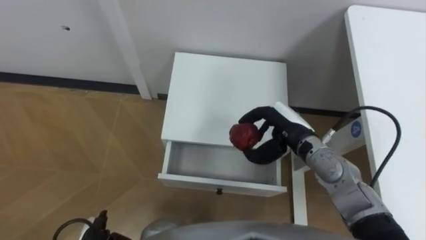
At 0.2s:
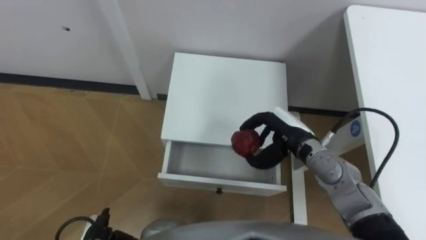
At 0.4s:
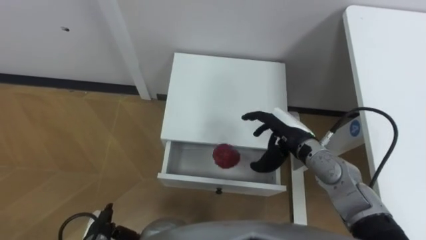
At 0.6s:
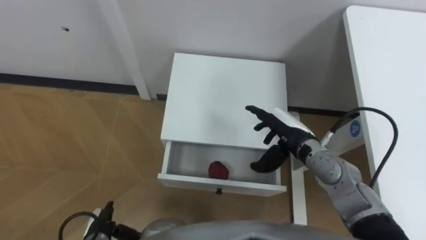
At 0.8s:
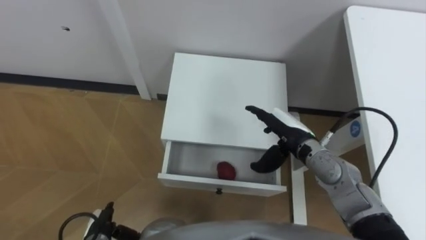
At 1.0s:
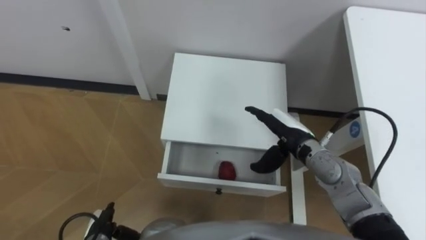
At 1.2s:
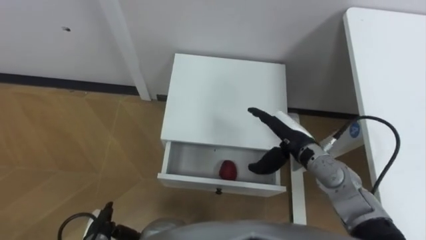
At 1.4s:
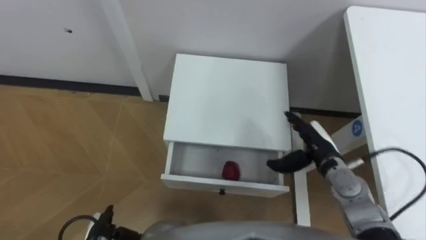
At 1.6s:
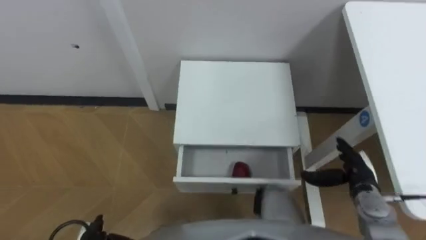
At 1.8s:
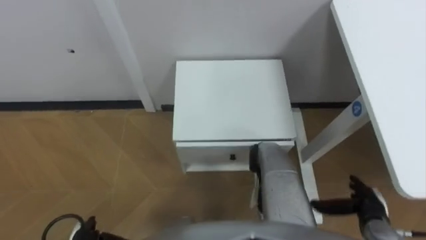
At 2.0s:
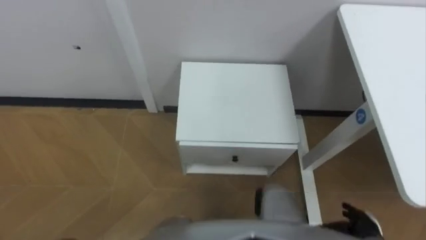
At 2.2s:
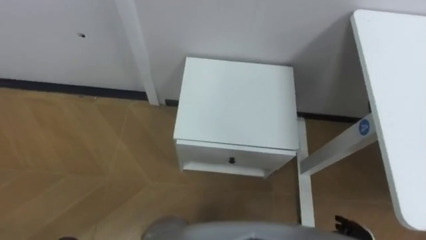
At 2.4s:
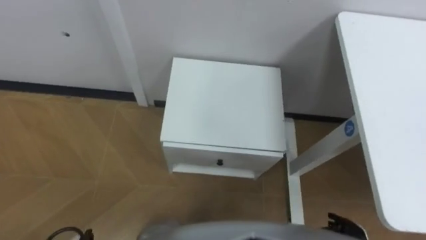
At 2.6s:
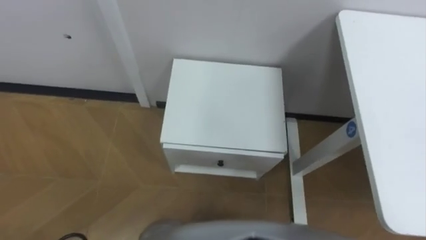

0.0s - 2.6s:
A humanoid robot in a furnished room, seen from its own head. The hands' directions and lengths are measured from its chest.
Task of the whole recording: Pick up the apple from the table, put it in the drawer, and close the drawer with leg.
0.0s - 1.2s: The right hand opens.

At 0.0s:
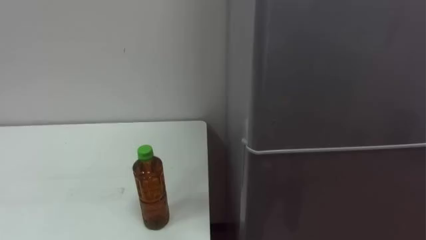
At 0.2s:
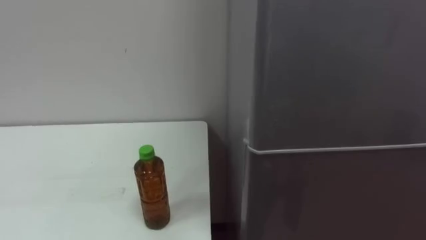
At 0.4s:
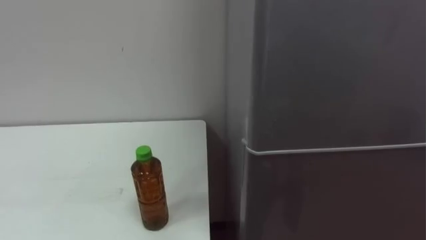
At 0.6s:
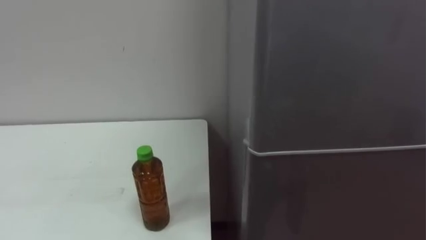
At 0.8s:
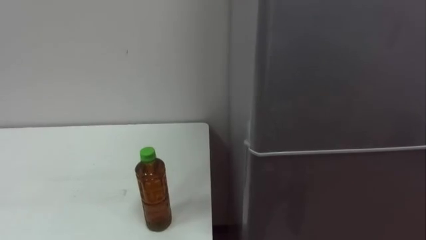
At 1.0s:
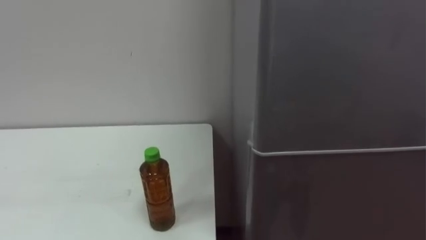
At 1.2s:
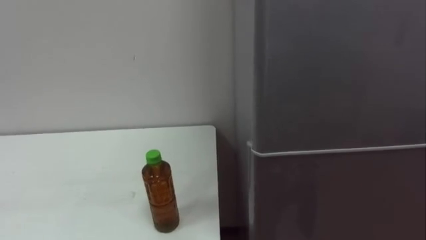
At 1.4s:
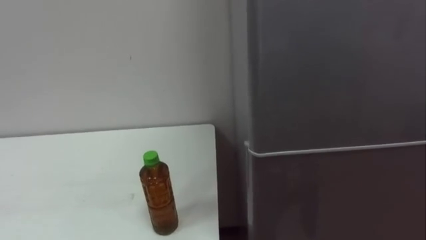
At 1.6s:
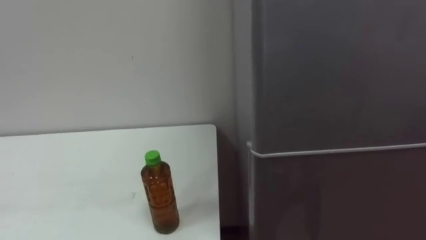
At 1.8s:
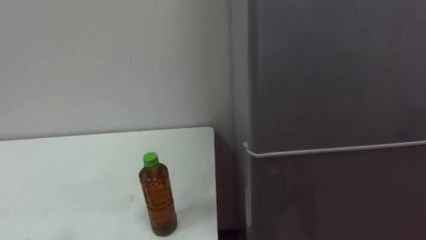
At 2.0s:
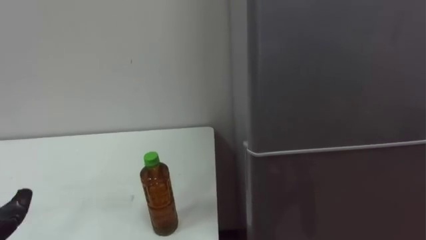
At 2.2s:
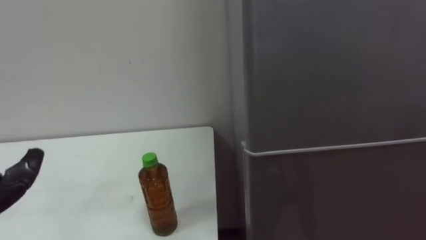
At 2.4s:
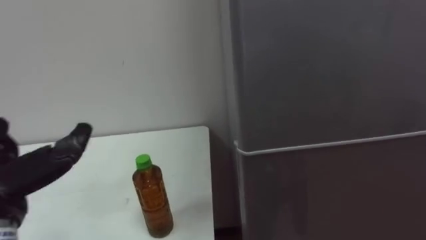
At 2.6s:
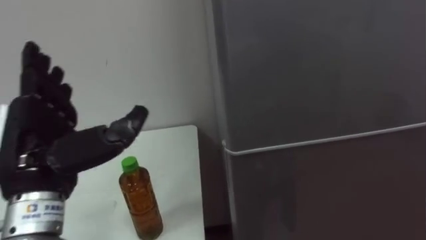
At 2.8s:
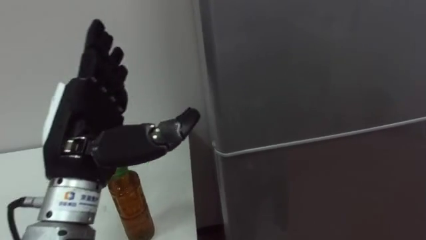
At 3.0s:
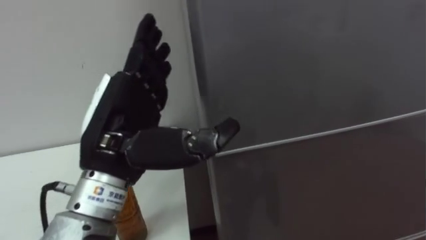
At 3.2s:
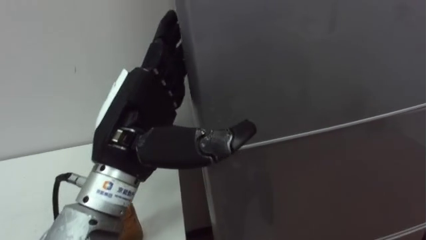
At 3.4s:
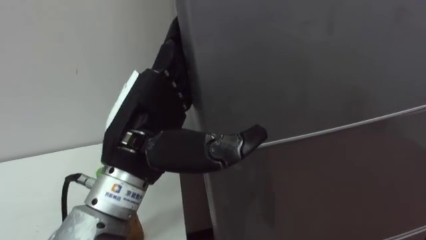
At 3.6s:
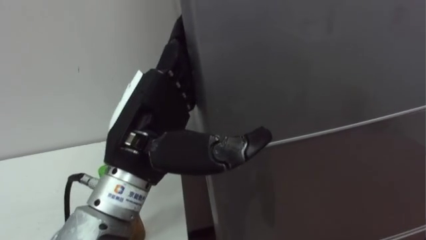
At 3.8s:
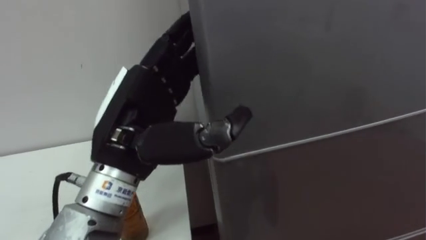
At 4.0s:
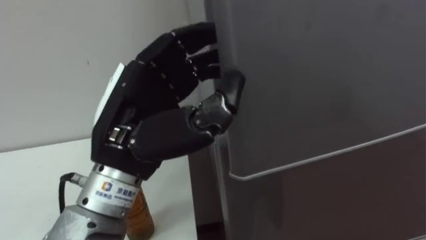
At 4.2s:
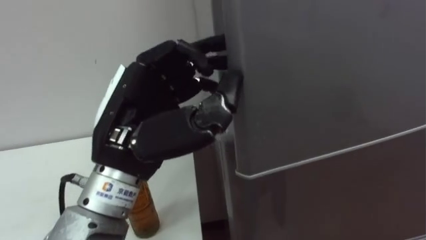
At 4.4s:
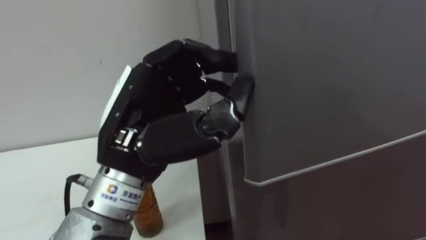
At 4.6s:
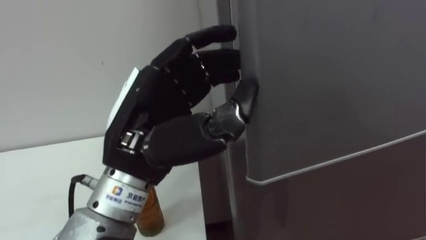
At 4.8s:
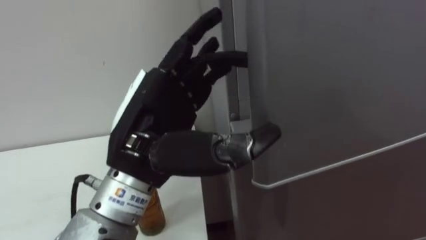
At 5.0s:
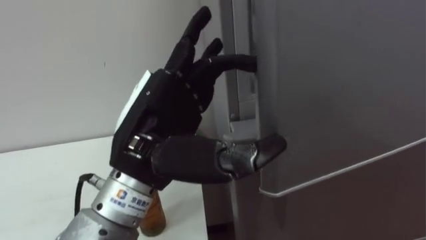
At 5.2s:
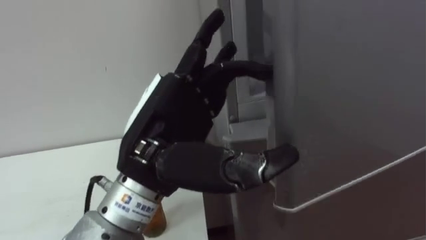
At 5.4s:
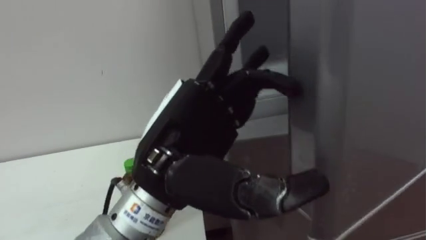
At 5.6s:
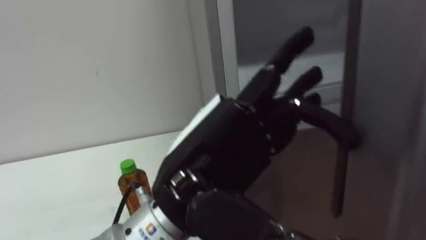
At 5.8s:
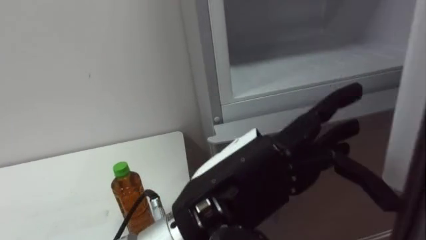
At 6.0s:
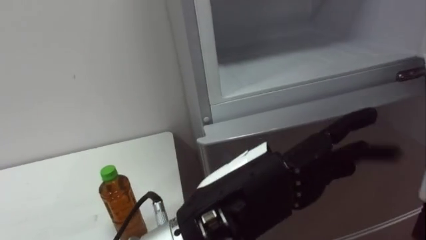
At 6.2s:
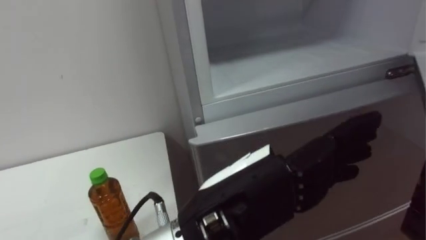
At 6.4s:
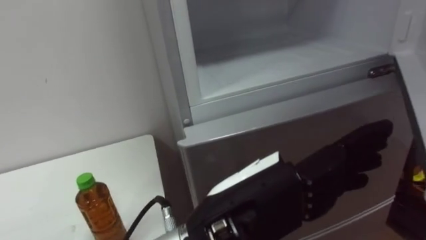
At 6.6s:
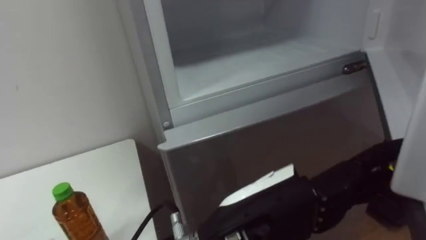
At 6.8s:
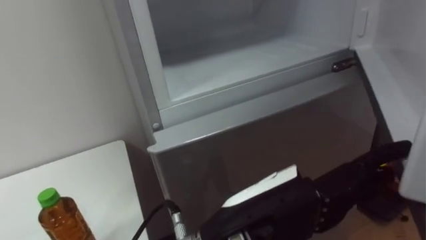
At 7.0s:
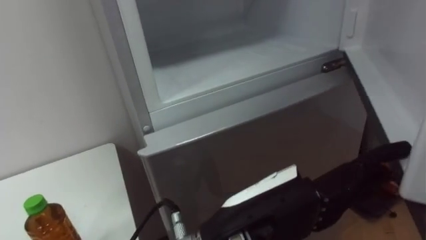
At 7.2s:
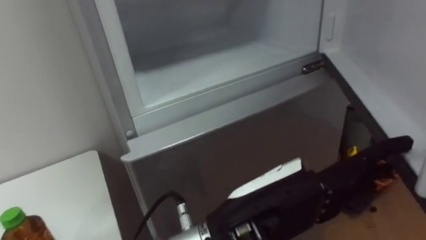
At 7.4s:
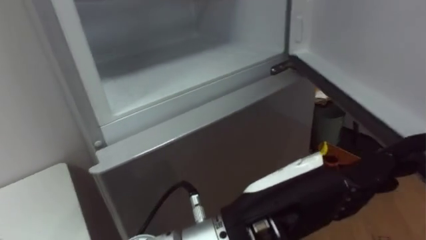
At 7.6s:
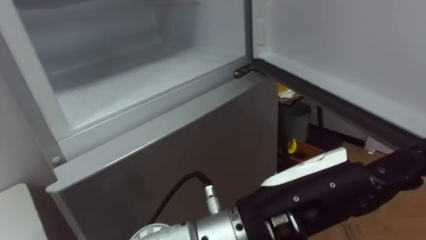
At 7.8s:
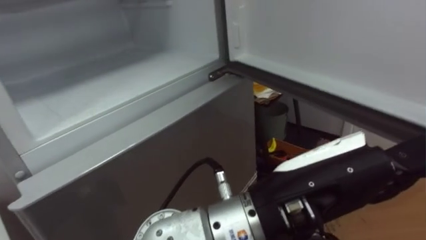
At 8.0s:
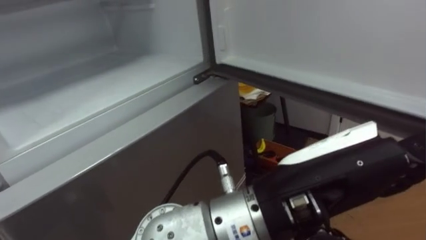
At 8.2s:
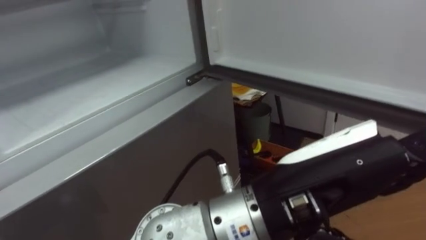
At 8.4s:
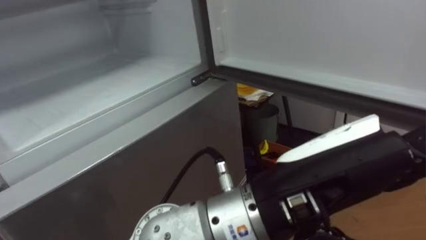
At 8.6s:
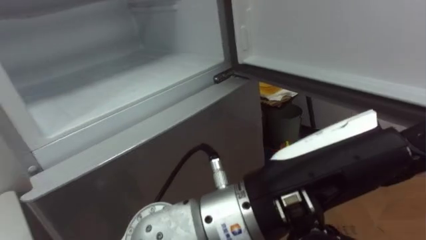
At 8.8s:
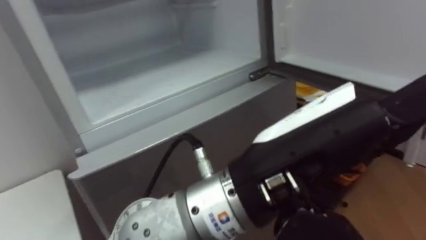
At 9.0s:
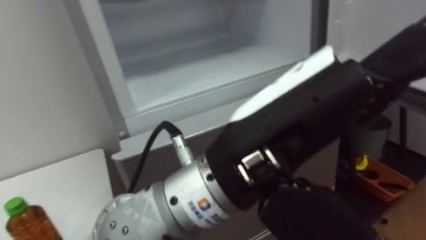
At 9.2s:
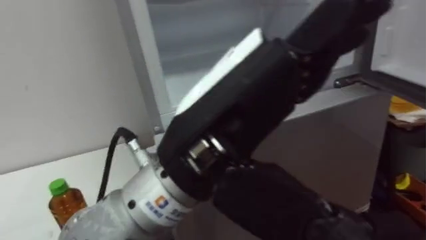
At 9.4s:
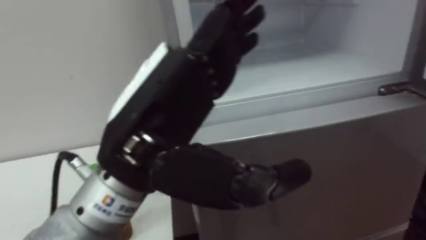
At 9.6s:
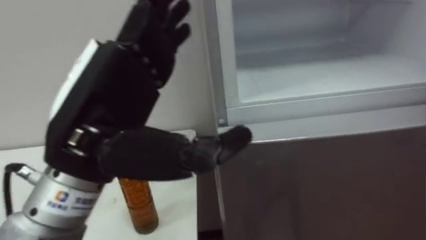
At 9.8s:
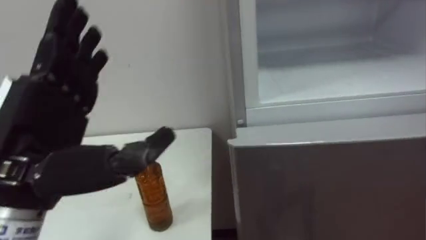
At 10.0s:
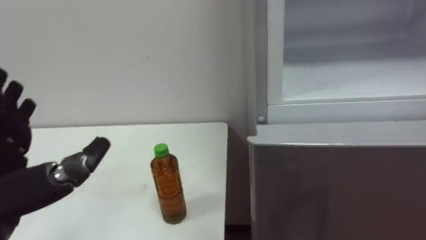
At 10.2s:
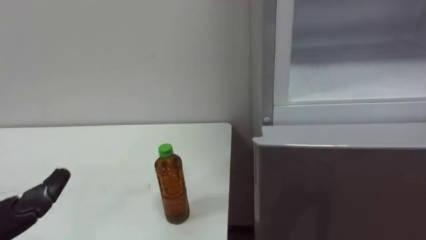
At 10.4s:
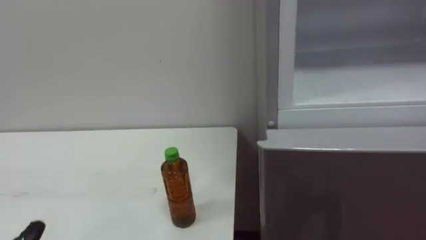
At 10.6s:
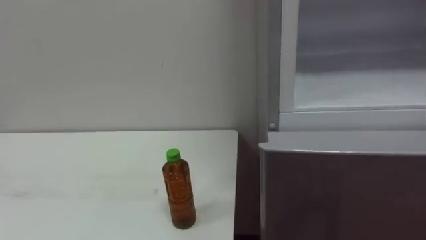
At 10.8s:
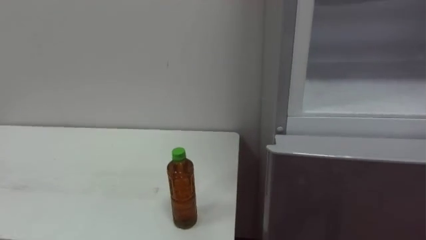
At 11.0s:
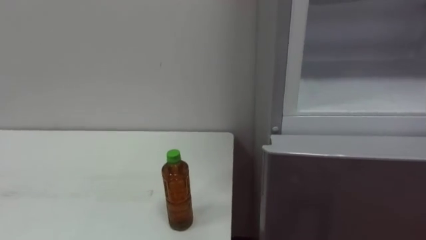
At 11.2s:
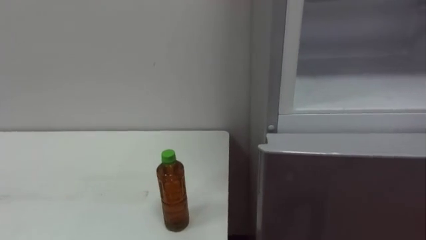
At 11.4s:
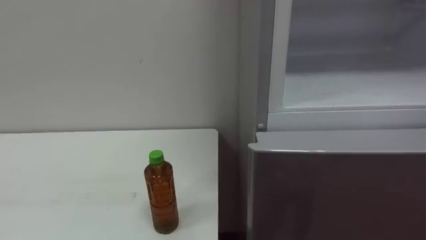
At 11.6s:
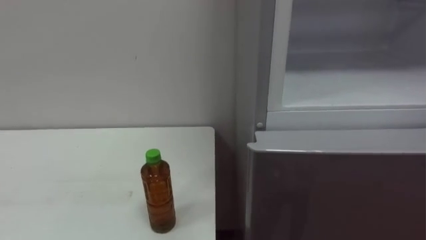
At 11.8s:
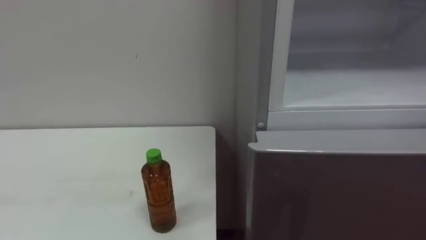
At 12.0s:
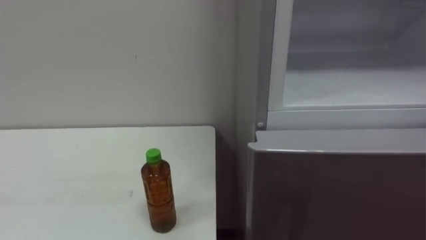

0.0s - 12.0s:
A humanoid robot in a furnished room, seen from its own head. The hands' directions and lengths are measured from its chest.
Task of the whole recording: Open the upper refrigerator door, put the drink from the table into the refrigerator, and then close the refrigerator door.
3.0s - 4.4s: The left hand closes its fingers.
4.4s - 6.0s: The left hand moves to the right and backward, roughly 10 cm, and opens.
6.0s - 7.6s: The left hand is displaced to the right by roughly 5 cm.
7.6s - 9.0s: The left hand travels upward by about 10 cm.

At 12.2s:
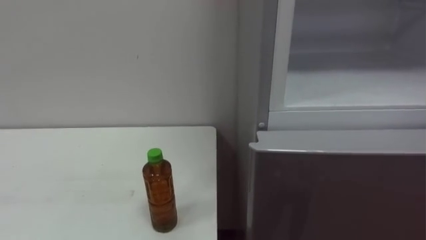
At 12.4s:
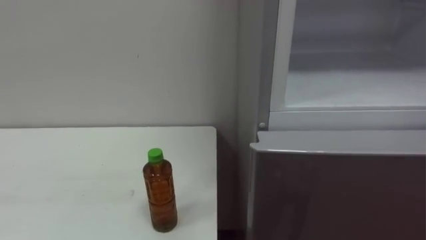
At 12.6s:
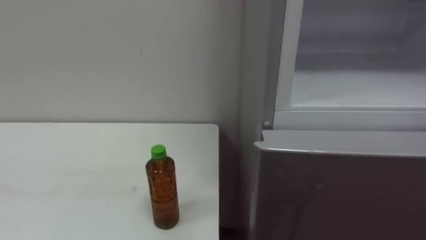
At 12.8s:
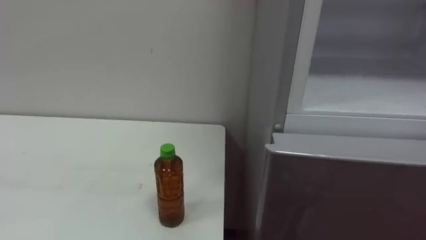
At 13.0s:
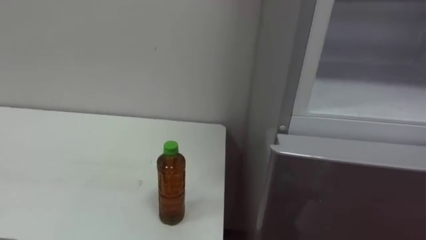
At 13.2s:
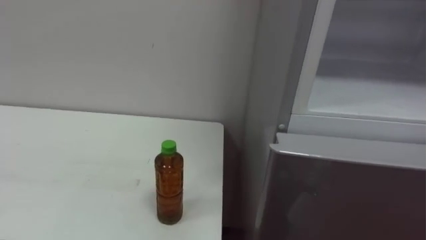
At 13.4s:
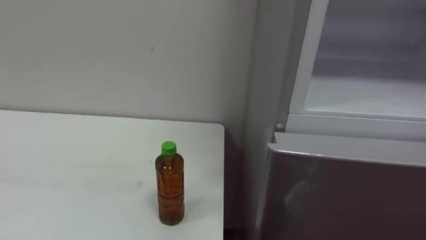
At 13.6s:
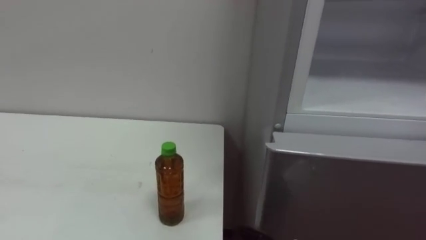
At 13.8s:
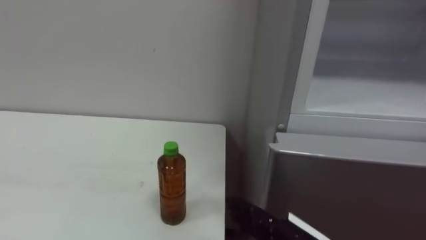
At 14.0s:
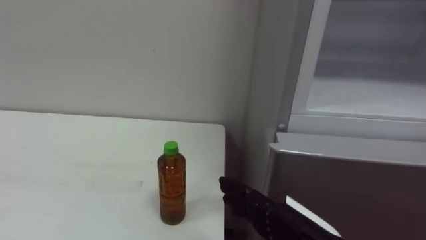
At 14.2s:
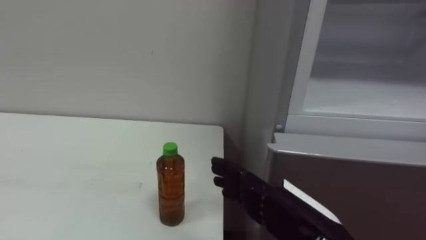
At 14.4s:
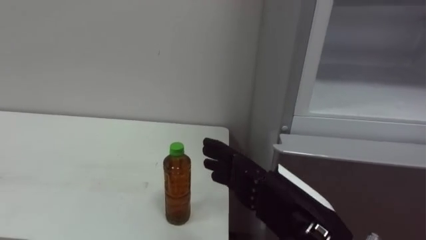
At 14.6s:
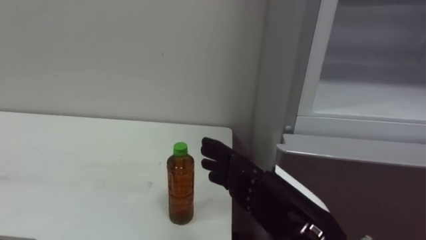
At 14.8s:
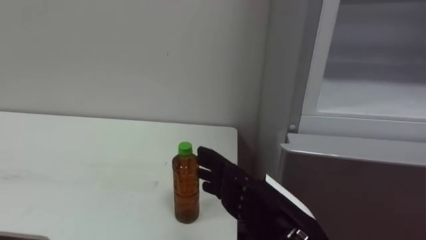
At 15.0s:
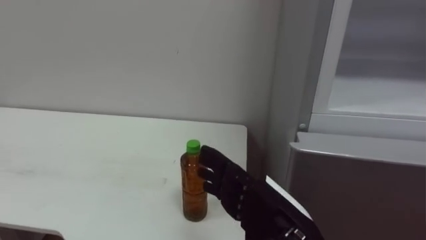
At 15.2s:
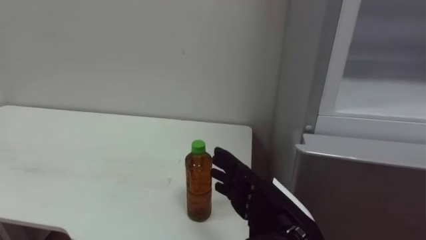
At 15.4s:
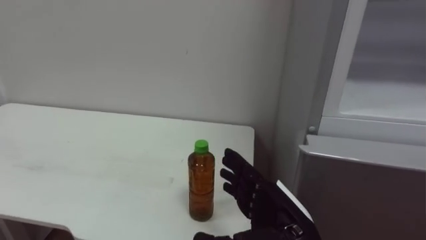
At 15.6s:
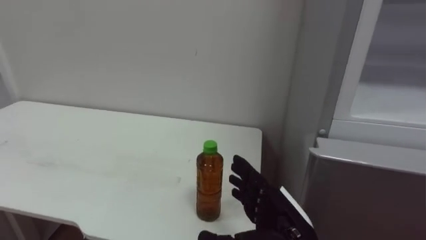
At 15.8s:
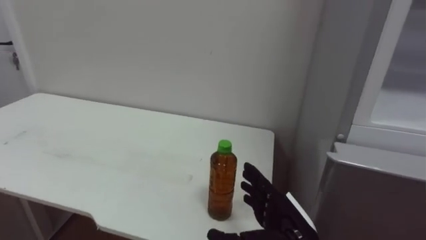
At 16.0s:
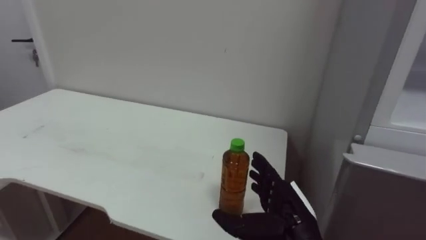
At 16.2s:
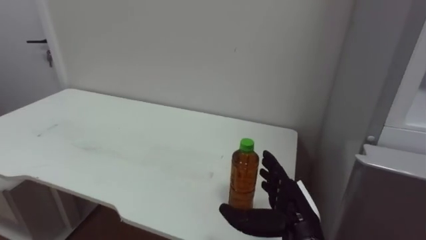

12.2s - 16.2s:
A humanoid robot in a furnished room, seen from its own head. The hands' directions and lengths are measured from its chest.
Task of the whole recording: Open the upper refrigerator door, put the drink from the table into the refrigerator, and then close the refrigerator door.
14.8s - 16.2s: The right hand shifts approximately 10 cm downward and forward.
